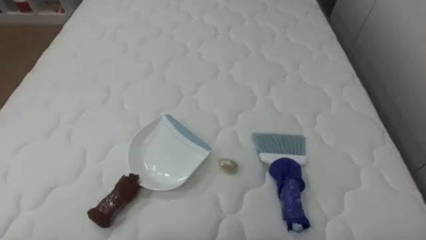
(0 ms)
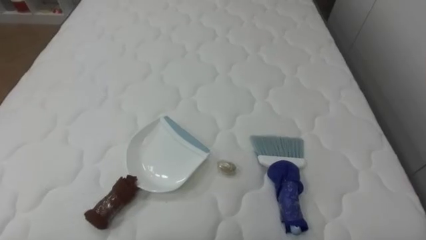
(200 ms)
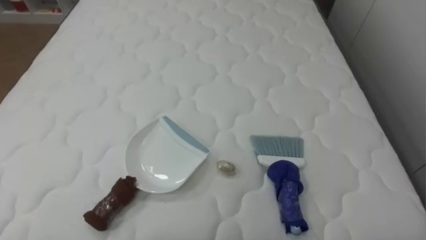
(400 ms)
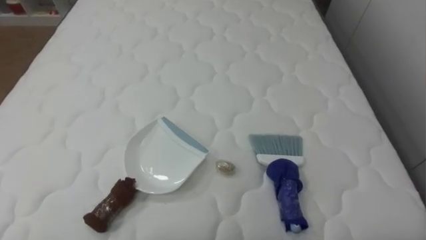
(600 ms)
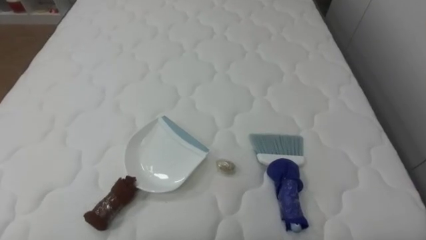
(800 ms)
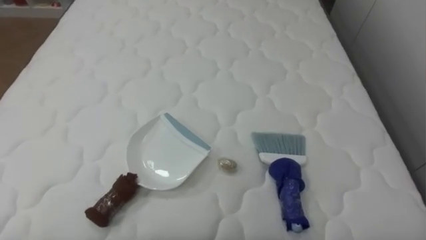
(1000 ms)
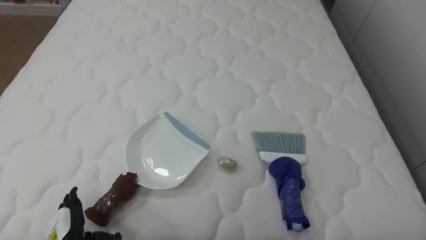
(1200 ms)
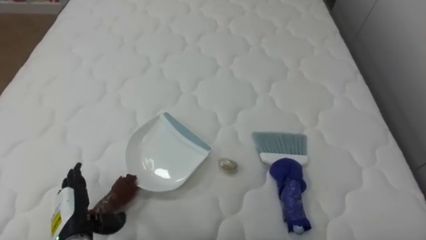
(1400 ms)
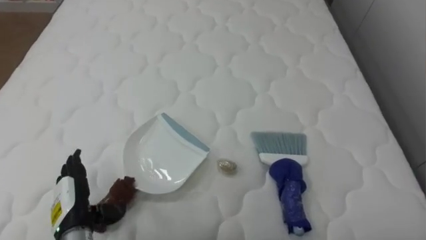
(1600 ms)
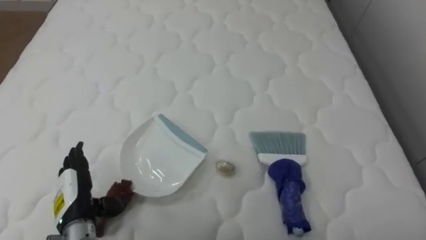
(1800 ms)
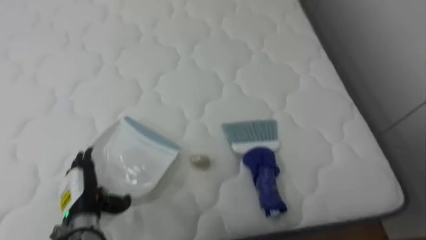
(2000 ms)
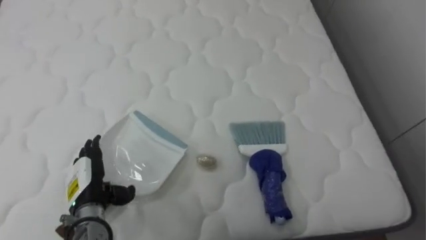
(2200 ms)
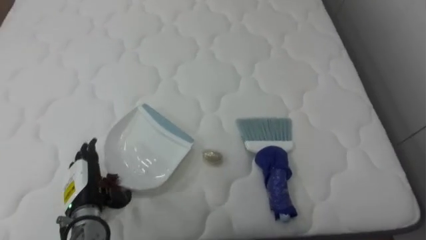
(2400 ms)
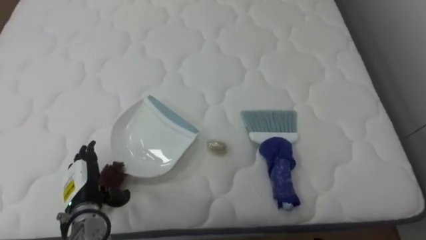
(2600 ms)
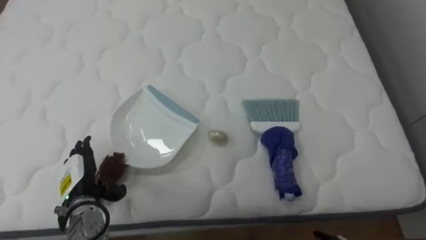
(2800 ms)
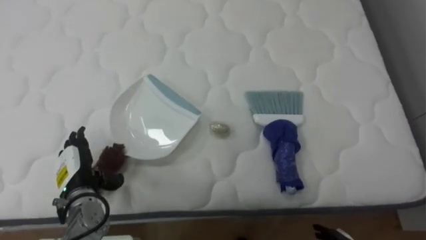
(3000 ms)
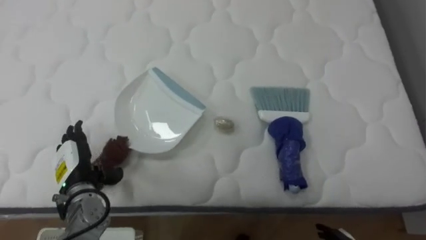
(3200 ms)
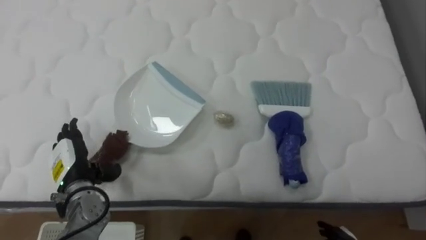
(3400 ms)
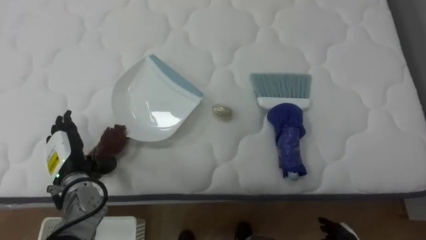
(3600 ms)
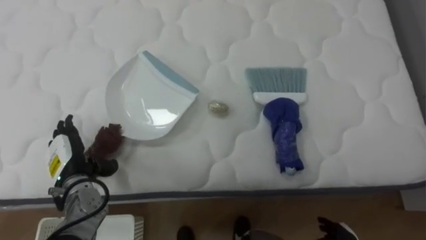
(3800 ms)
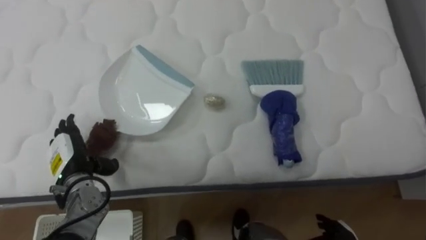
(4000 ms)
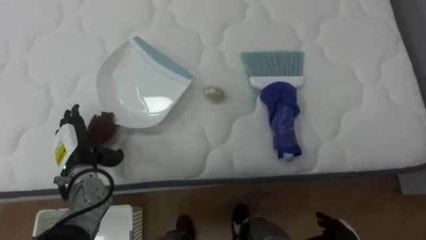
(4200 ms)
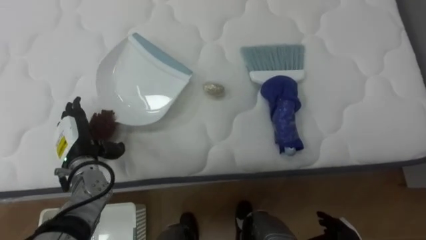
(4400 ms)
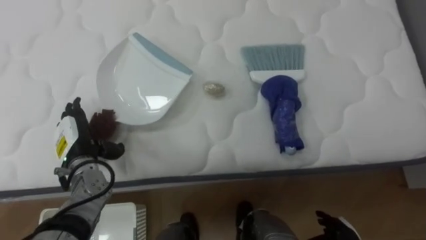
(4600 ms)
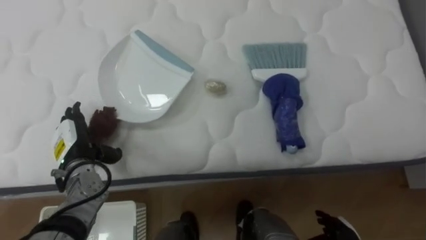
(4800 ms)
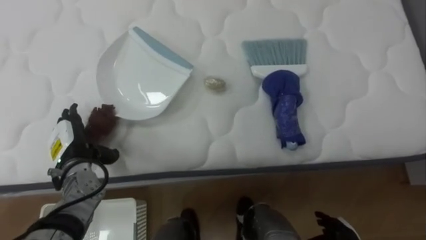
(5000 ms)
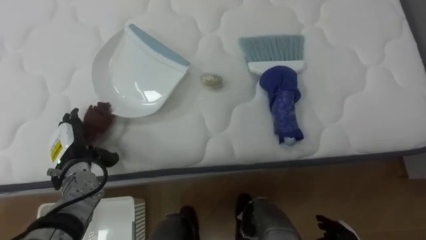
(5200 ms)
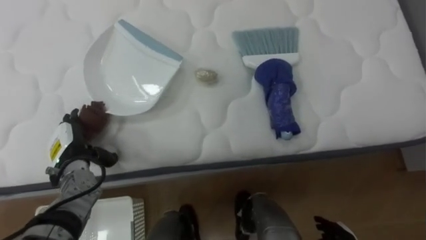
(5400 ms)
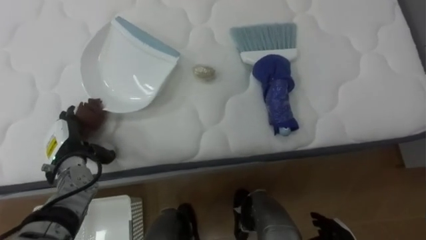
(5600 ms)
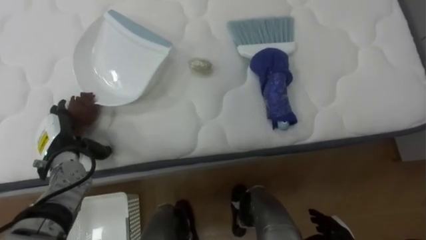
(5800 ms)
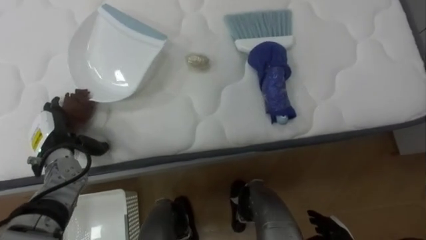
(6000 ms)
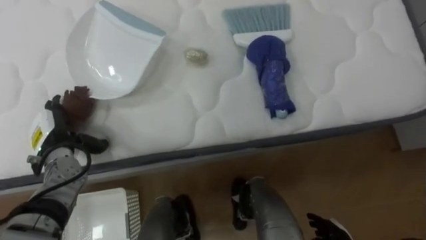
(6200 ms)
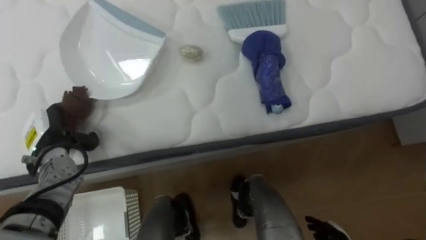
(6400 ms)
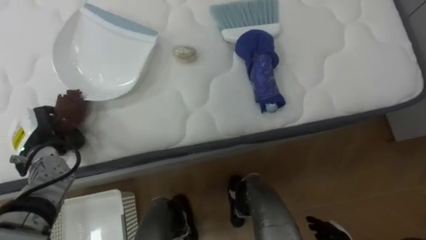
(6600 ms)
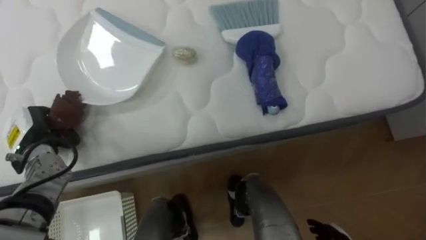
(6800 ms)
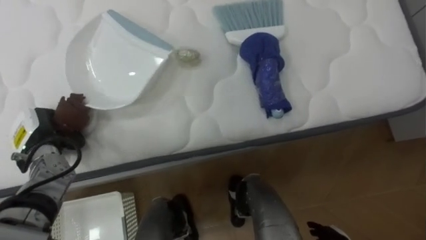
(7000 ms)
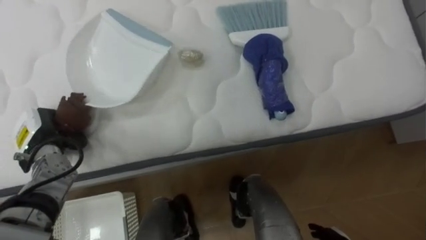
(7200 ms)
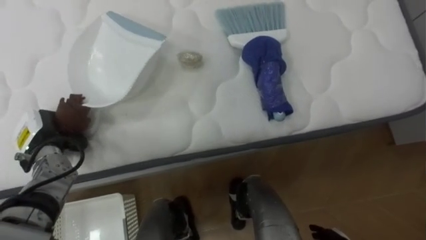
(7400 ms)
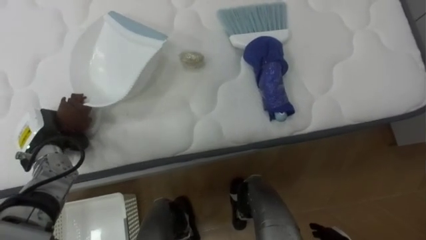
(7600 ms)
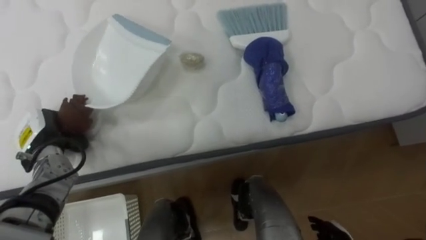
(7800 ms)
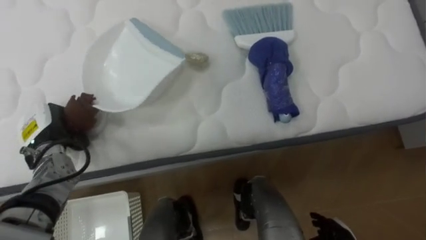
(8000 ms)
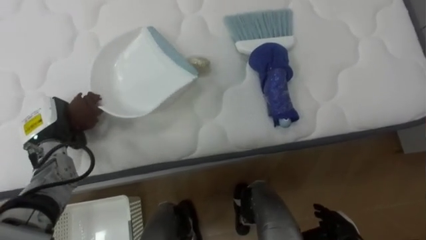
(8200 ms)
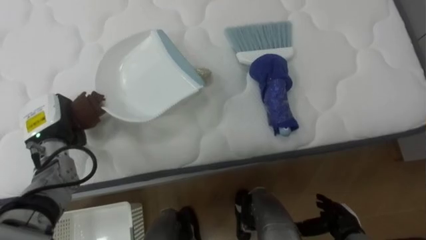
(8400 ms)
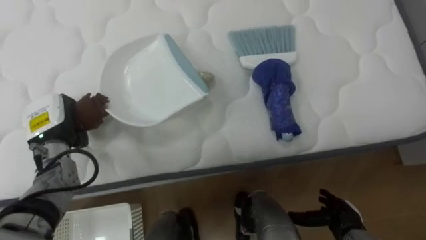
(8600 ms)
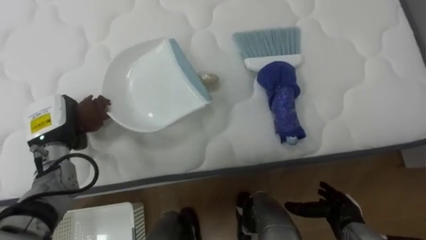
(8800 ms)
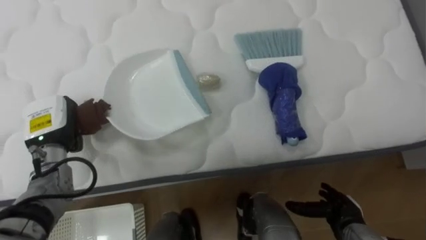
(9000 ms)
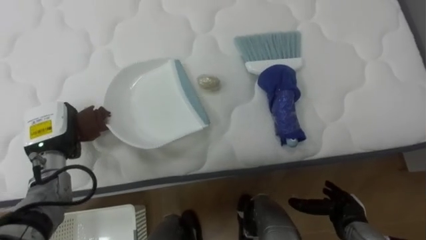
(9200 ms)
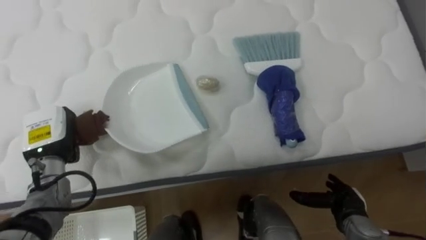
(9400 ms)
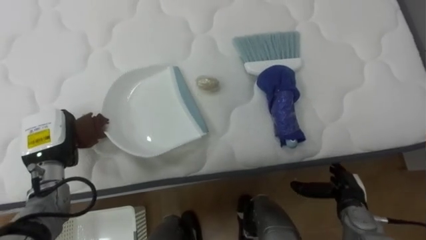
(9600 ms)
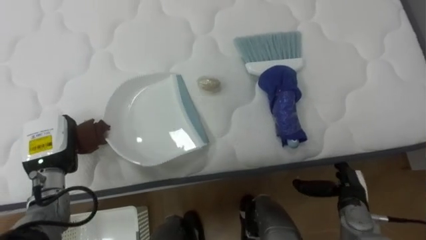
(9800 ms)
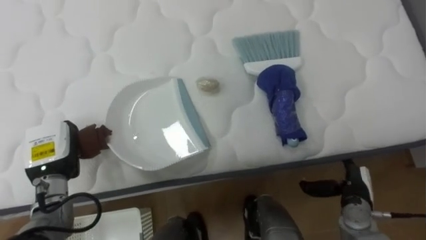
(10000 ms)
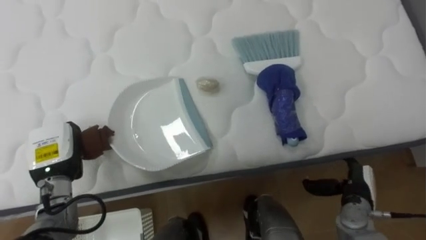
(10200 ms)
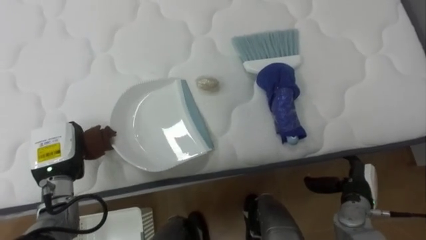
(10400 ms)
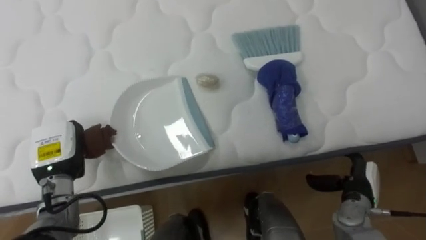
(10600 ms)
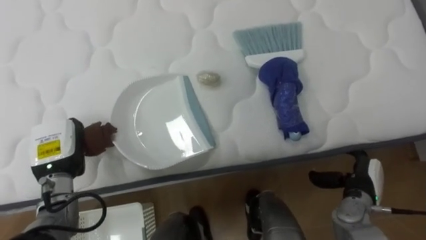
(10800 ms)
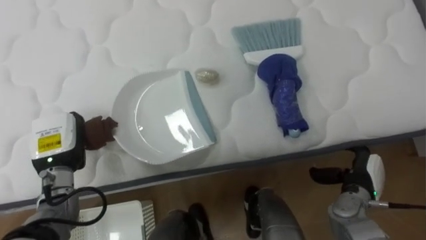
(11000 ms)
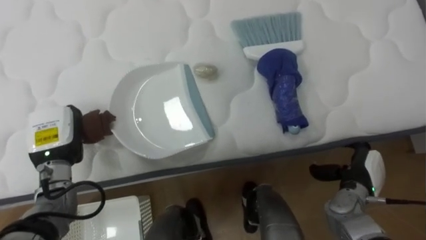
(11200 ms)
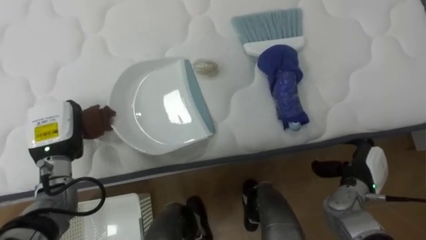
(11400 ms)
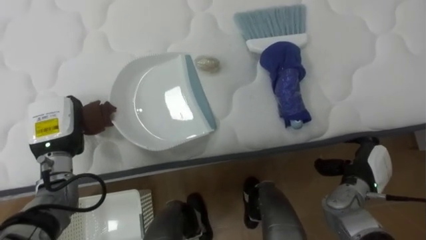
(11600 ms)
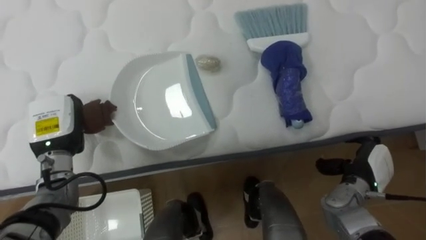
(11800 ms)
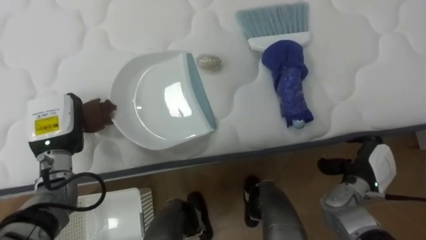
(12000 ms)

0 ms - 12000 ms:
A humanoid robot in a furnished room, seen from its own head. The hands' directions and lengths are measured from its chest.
Task of the whole recording: Pick up the brush on your right and the dustpan on your left. Use the brush to sweep the crumpled paper on the bed into the dustpan, then turn left and empty it into the basket.
1600 ms - 3000 ms: The left hand heads forward, covering approximately 5 cm.
3000 ms - 4400 ms: The left hand ends up roughly 5 cm from where it was.
6000 ms - 7600 ms: The left hand closes up.
9000 ms - 10400 ms: The right hand heads upward, covering some 5 cm. The left hand moves about 5 cm.
10400 ms - 12000 ms: The left hand shifts by roughly 5 cm.

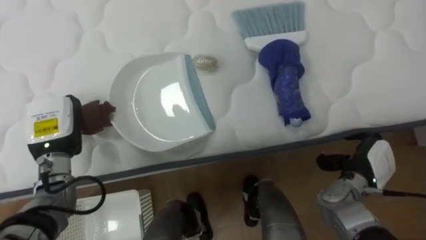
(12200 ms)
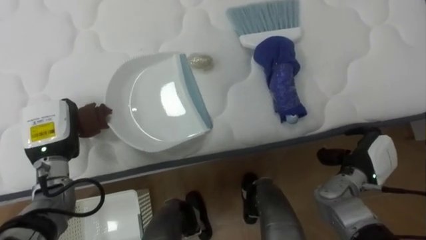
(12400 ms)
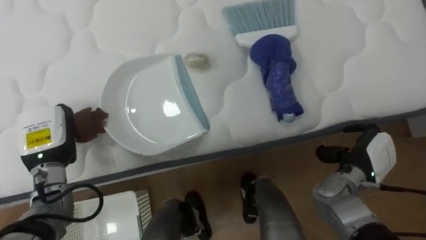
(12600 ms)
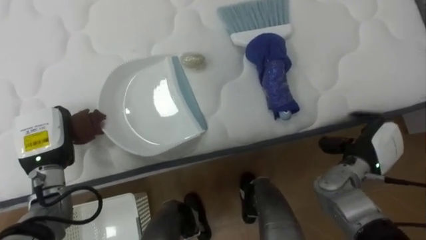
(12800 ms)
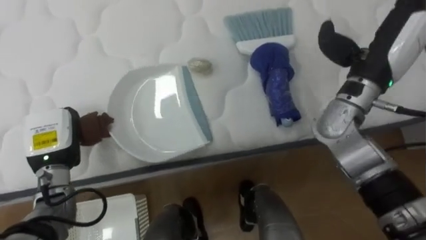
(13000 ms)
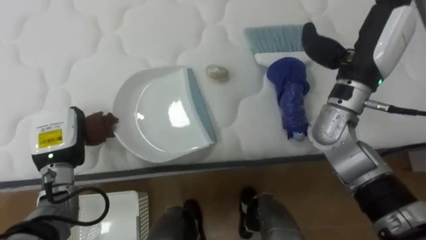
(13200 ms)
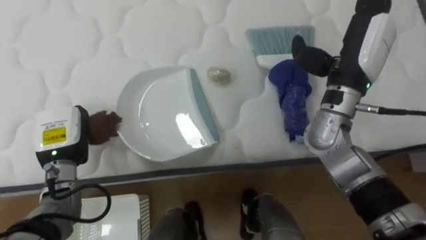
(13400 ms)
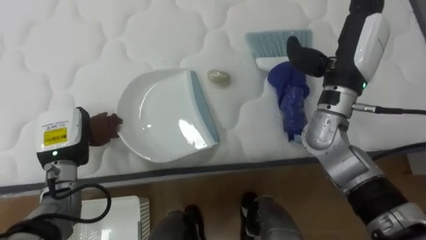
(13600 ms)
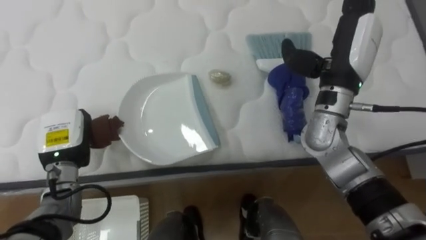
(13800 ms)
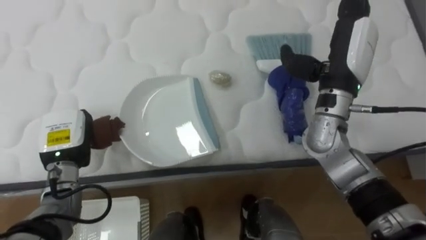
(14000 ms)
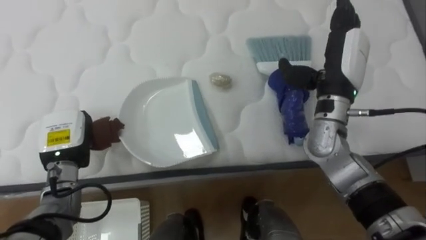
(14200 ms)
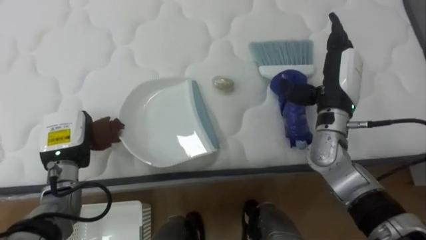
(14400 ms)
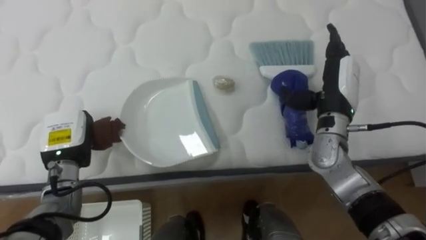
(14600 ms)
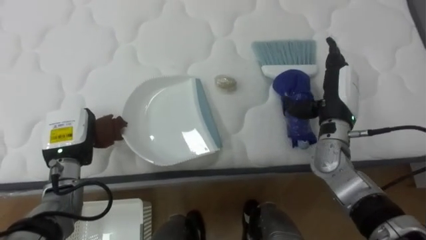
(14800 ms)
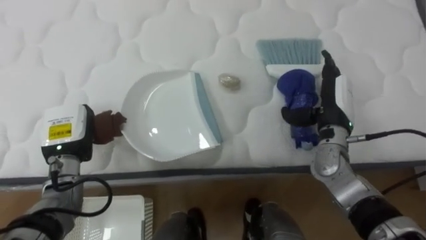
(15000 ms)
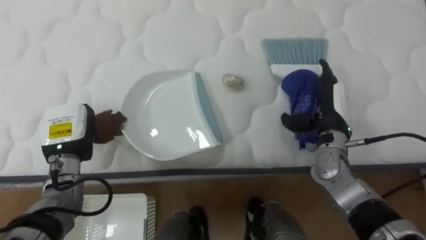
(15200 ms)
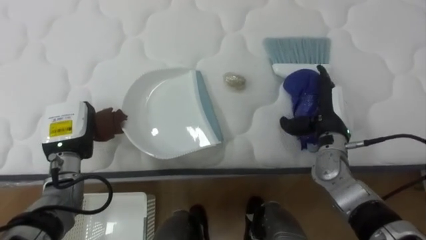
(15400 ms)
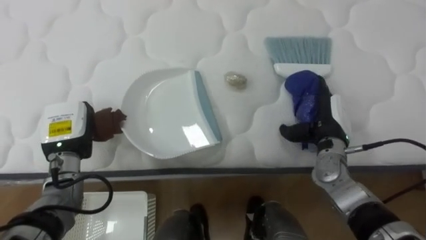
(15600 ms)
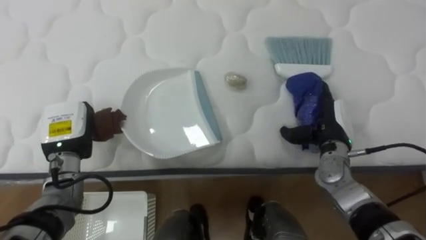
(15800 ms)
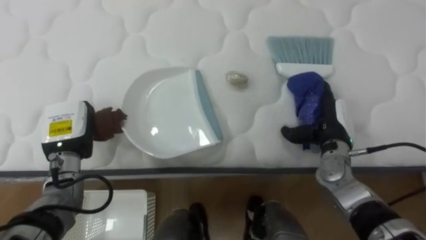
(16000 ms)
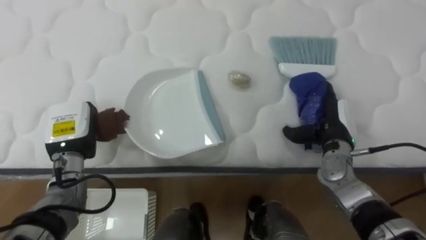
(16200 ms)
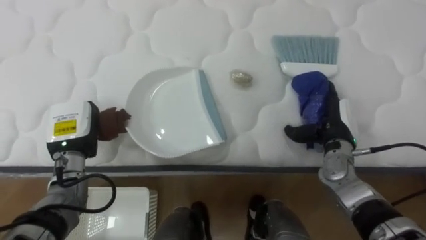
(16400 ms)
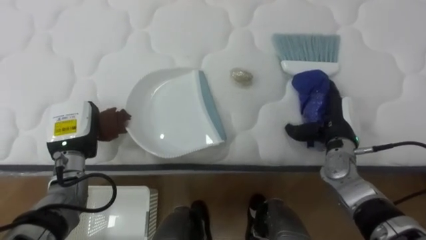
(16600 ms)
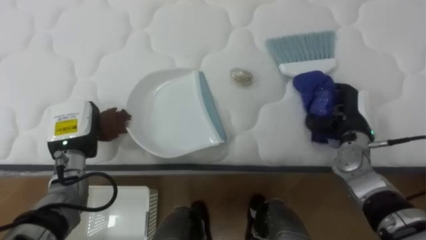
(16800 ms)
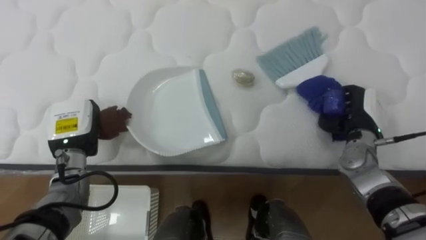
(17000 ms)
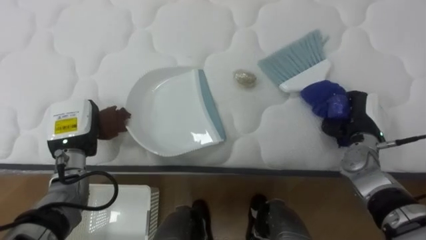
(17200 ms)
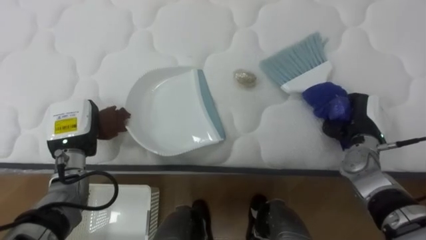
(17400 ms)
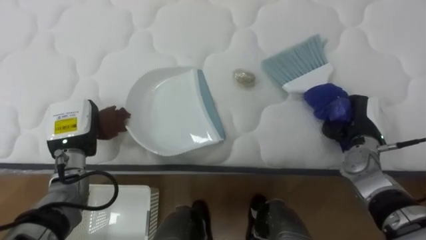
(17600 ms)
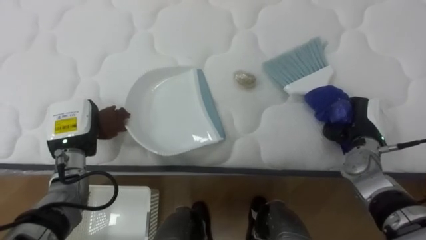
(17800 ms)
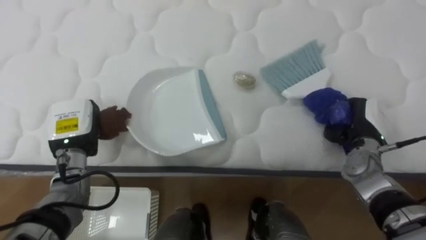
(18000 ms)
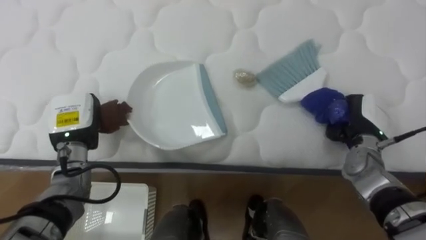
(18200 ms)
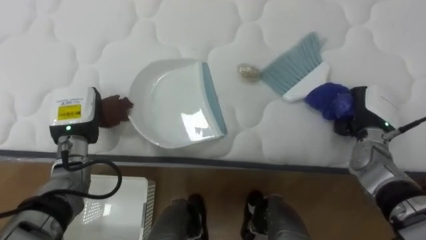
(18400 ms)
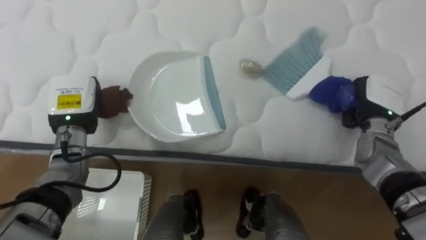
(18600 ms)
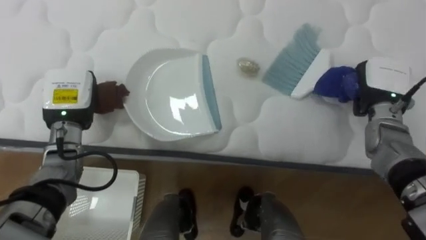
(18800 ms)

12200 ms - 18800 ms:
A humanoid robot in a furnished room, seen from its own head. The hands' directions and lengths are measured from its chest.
Task of the whole recording: Pick up the brush on your right and the dustpan on your left. Use the brush to sweep the crumpled paper on the bed into the dustpan, then turn left and empty it into the basket.
12200 ms - 13800 ms: The right hand travels upward and to the left by roughly 25 cm.
13800 ms - 15400 ms: The right hand travels downward by about 15 cm.
15400 ms - 17200 ms: The right hand heads to the right, covering about 5 cm, and closes up.
17200 ms - 18800 ms: The two hands go some 5 cm upward.
